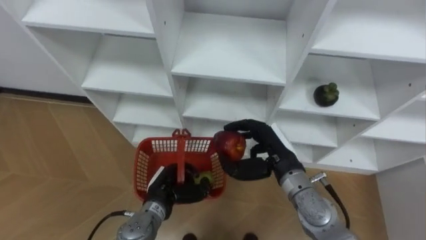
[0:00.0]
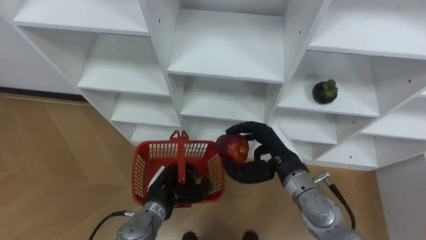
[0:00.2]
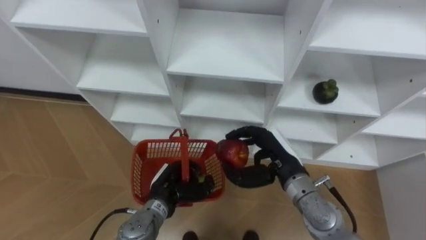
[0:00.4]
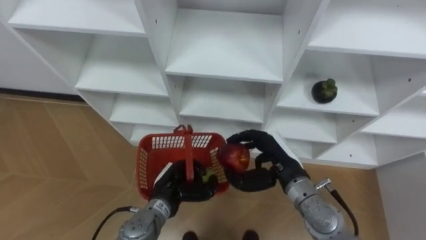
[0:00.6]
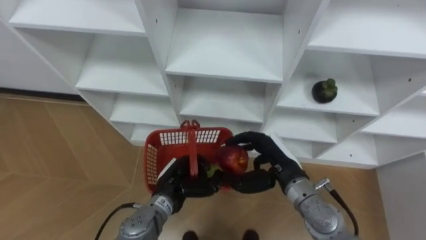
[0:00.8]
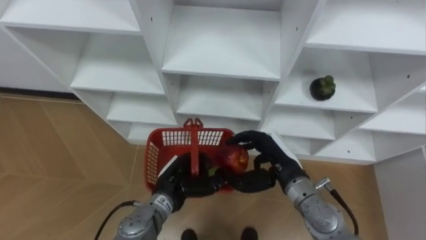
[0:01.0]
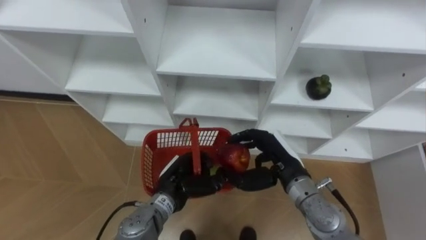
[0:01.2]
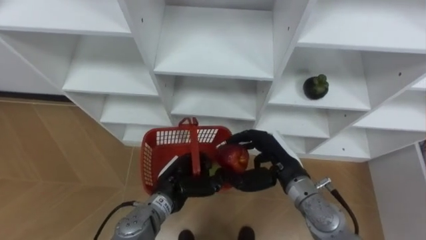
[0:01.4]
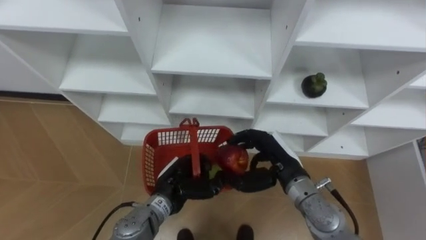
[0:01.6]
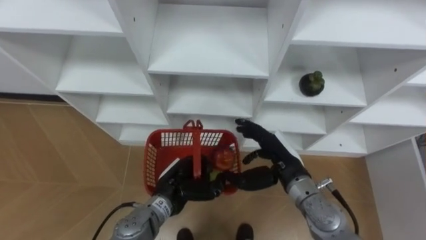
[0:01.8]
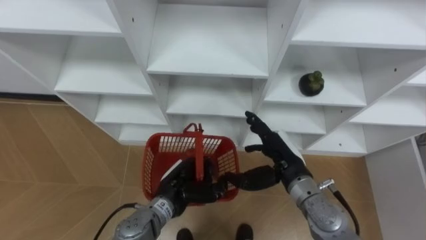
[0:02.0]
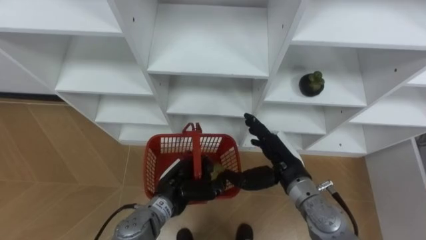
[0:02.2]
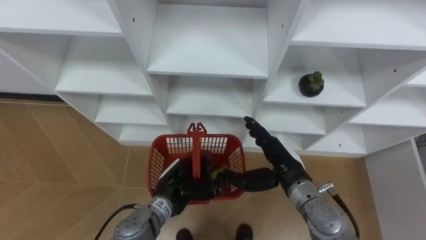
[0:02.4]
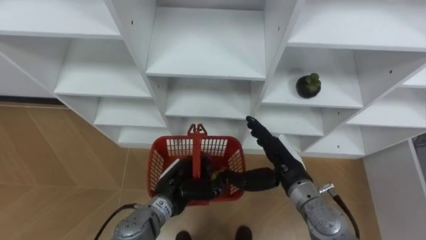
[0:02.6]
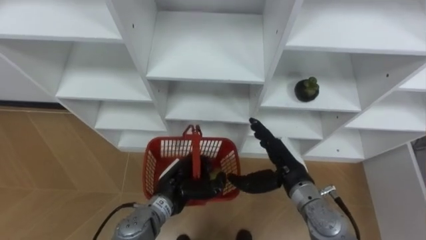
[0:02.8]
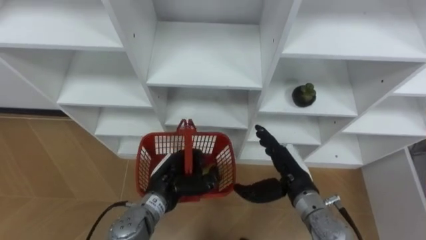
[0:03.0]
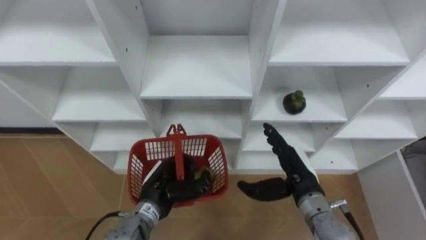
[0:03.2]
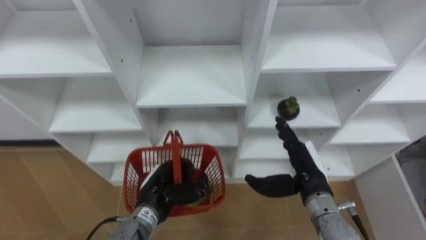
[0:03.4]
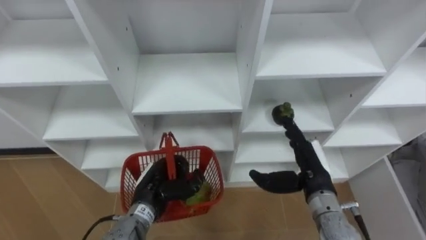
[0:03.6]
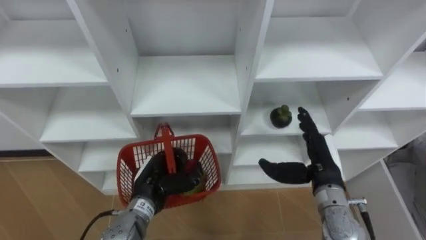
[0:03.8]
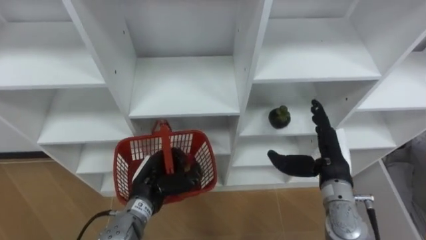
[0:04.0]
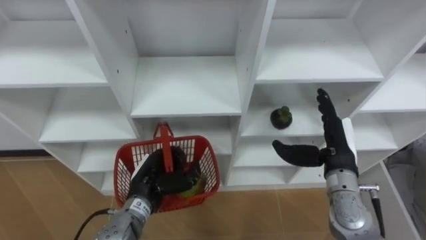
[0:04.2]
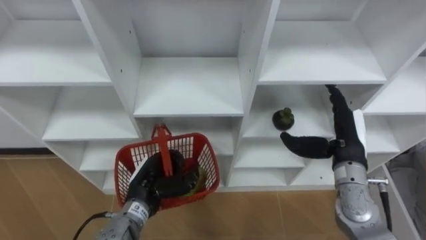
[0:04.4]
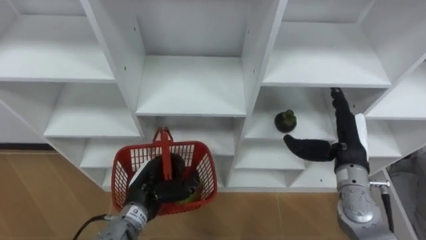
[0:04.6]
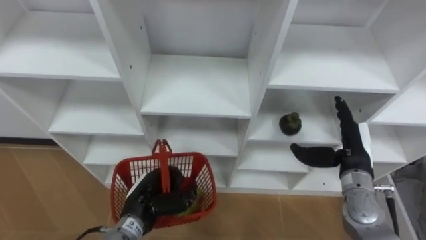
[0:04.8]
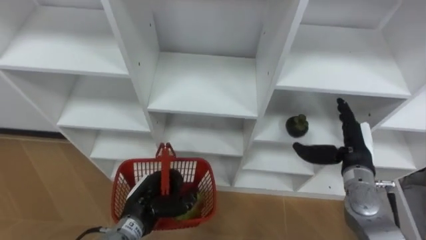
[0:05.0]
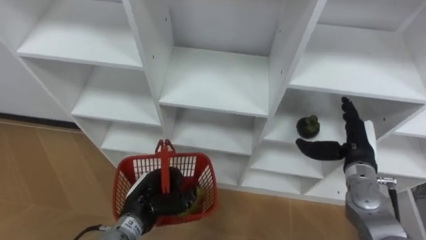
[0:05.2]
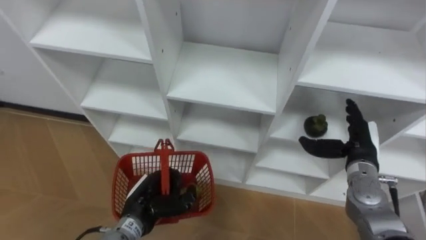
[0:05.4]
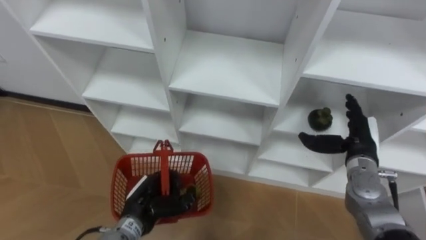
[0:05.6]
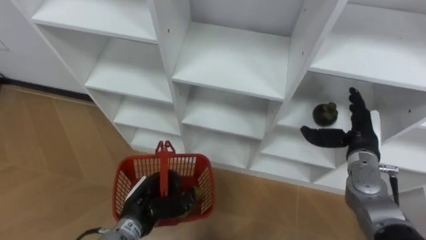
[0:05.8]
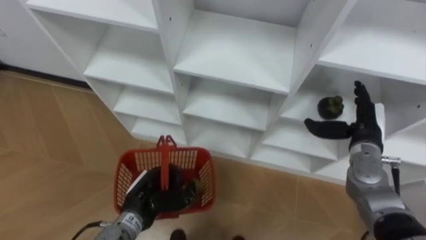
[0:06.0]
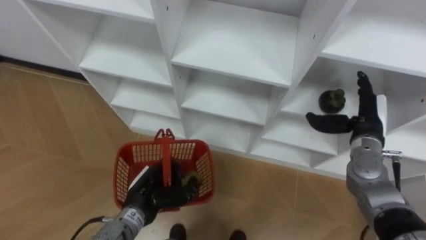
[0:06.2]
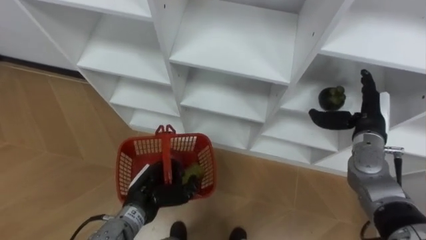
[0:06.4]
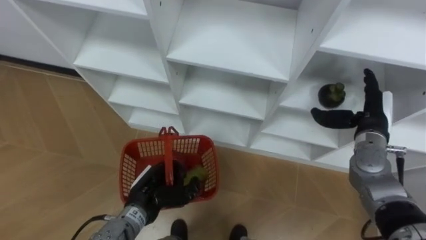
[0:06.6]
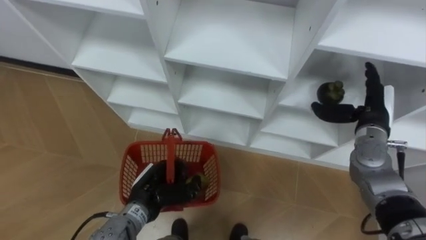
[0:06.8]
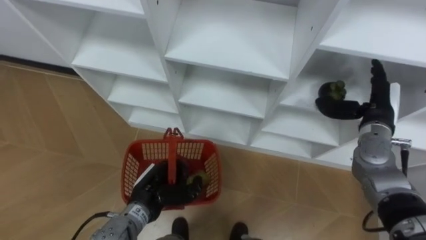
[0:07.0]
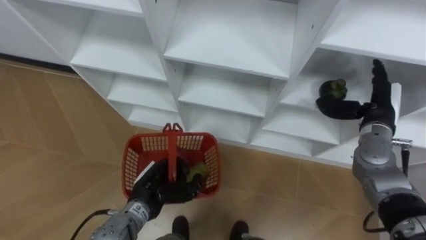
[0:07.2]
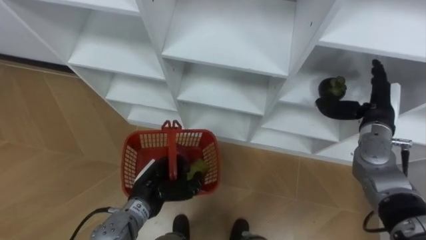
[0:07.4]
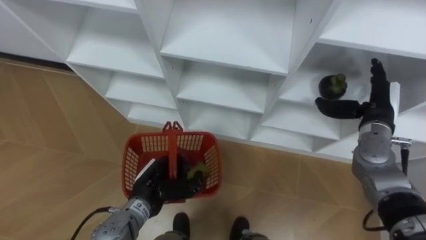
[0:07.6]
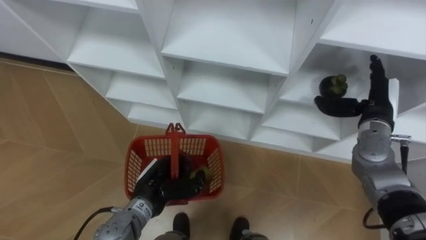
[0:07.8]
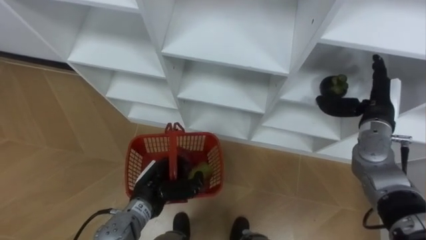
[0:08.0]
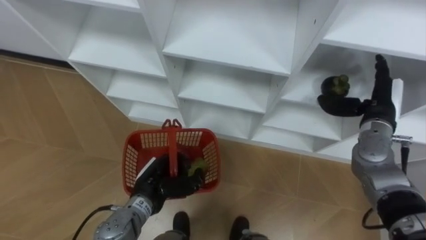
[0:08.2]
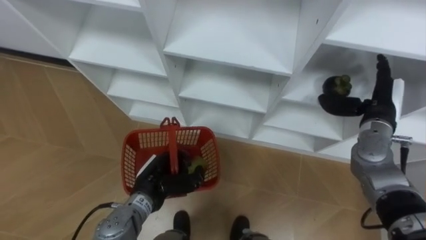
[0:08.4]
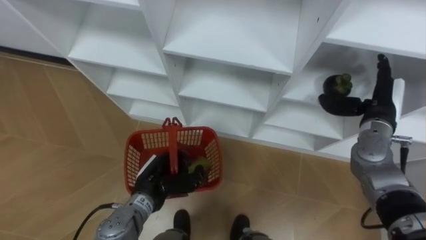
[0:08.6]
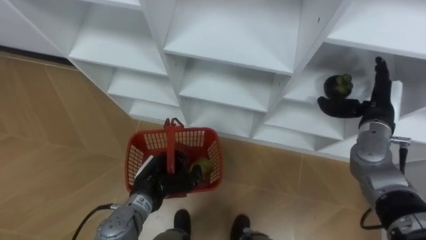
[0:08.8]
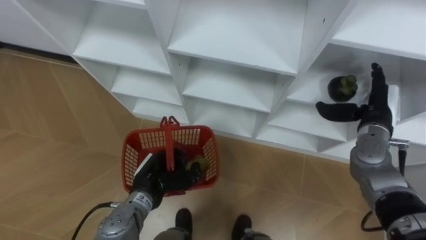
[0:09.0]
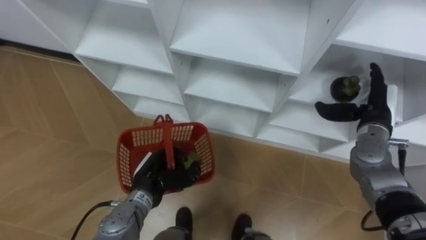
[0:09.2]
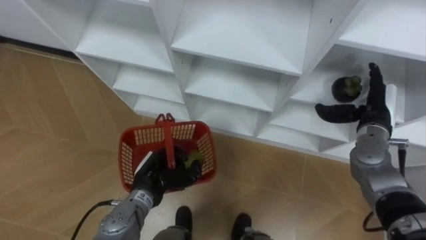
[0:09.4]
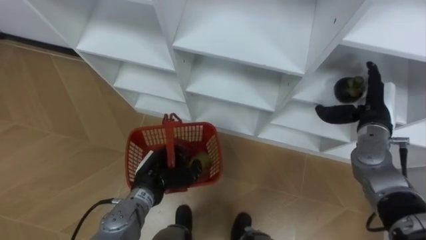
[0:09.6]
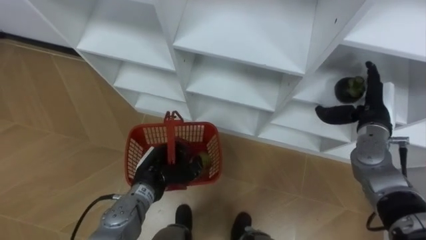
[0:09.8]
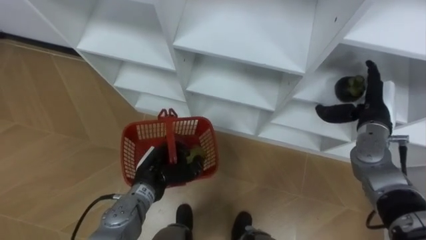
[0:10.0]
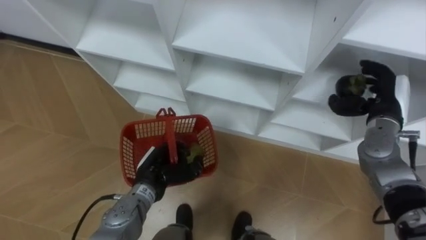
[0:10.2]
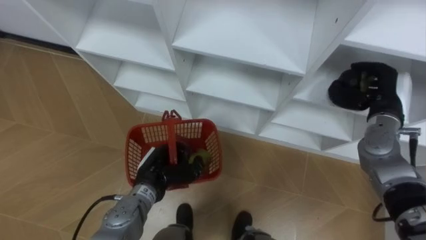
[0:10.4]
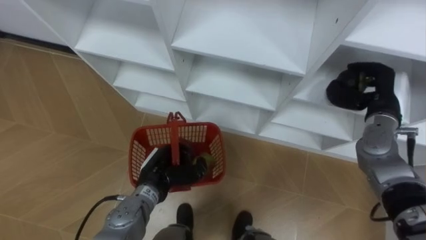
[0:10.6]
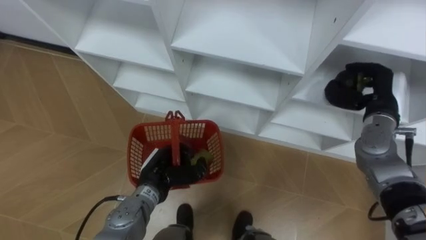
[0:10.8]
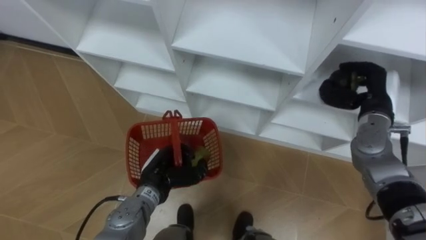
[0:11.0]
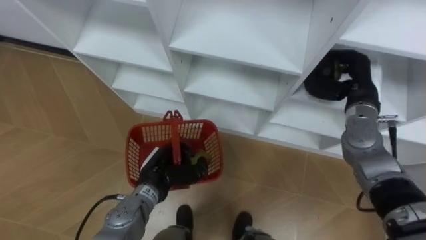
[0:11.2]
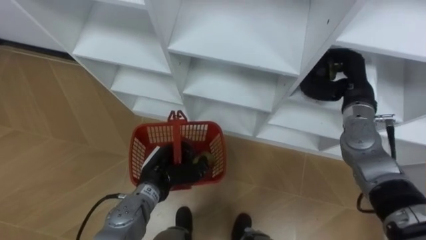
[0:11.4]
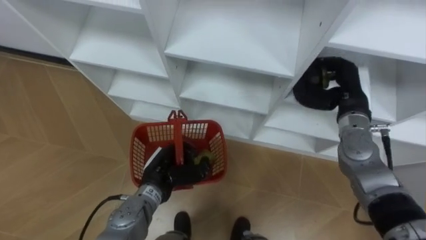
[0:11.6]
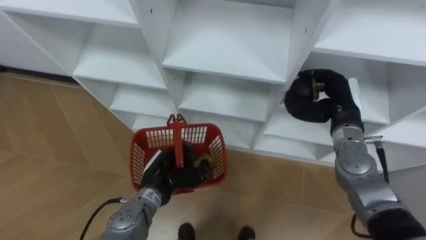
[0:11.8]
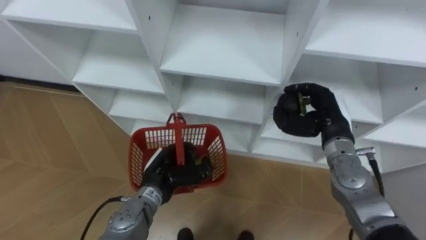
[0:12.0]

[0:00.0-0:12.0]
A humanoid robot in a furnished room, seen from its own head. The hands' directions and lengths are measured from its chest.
Task of the whole recording: Hold the basket and collect the fruits from 3 different cells of the closet into it.
0:01.6 to 0:03.0: The right hand opens its fingers.
0:03.0 to 0:04.4: The right hand shifts roughly 10 cm to the right and upward.
0:04.4 to 0:06.0: The right hand is displaced to the right by roughly 5 cm.
0:07.6 to 0:09.0: The two hands keep their place.
0:09.0 to 0:10.4: The right hand closes.
0:10.4 to 0:12.0: The right hand is displaced to the left by about 10 cm.

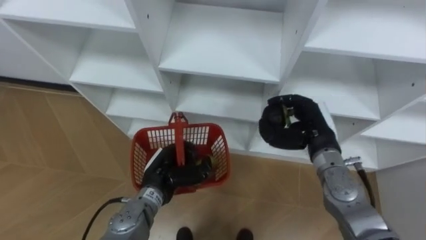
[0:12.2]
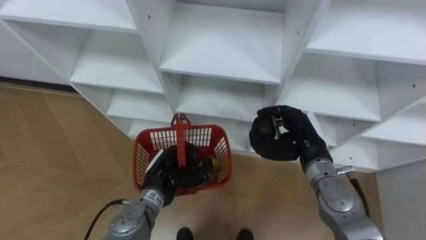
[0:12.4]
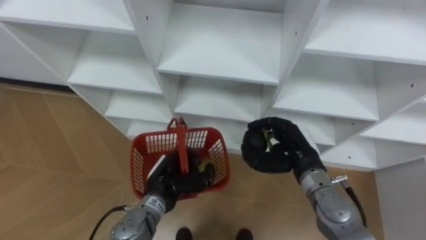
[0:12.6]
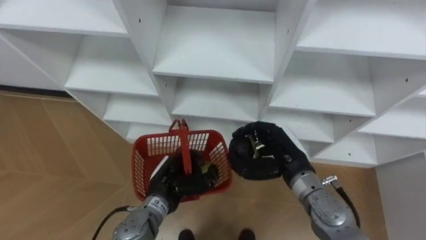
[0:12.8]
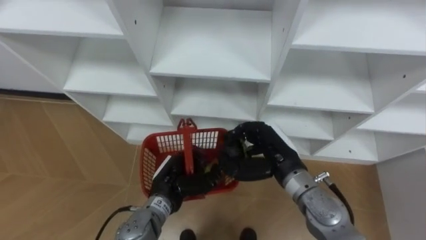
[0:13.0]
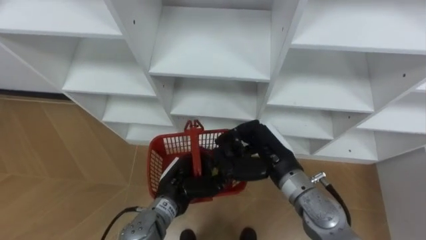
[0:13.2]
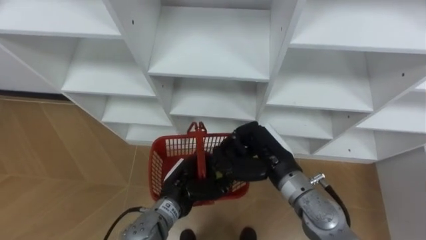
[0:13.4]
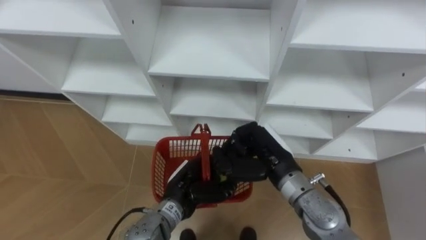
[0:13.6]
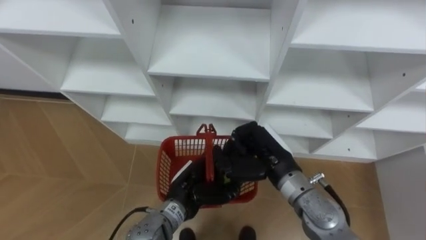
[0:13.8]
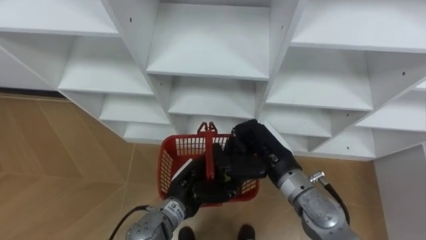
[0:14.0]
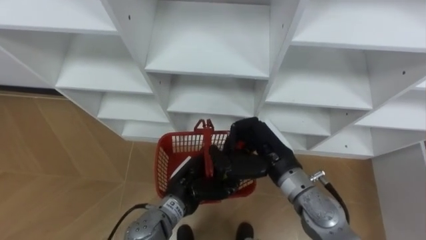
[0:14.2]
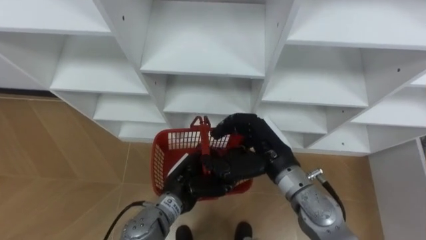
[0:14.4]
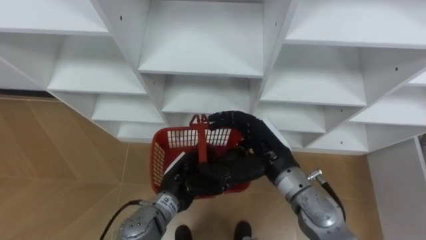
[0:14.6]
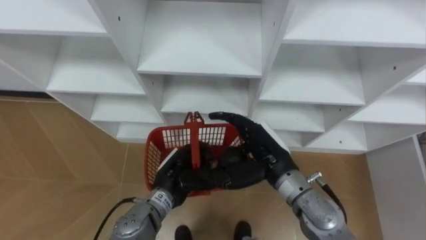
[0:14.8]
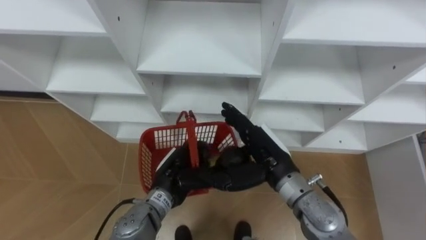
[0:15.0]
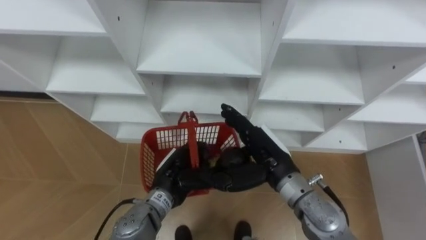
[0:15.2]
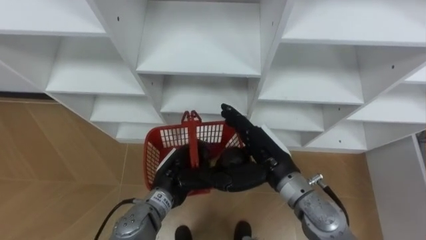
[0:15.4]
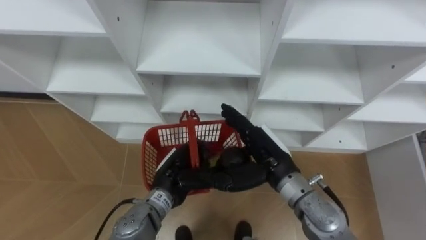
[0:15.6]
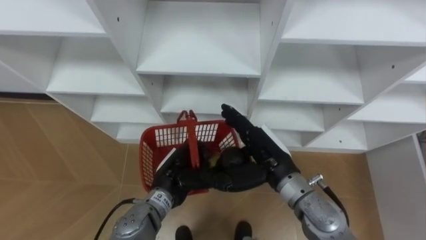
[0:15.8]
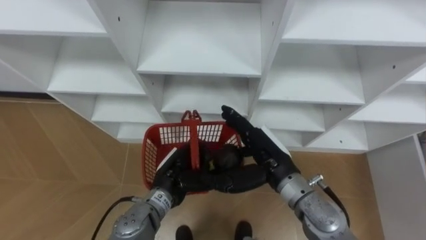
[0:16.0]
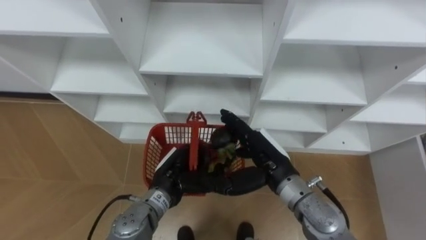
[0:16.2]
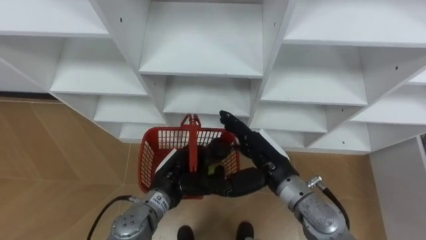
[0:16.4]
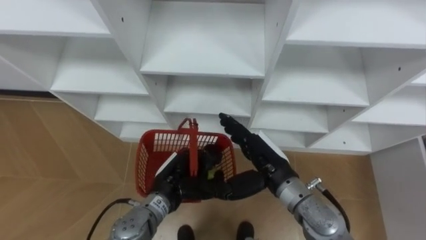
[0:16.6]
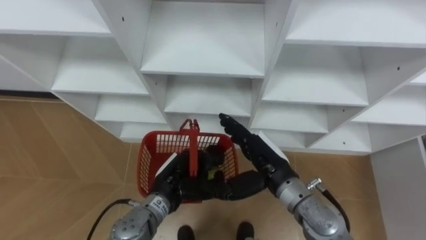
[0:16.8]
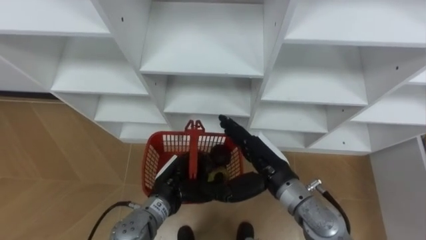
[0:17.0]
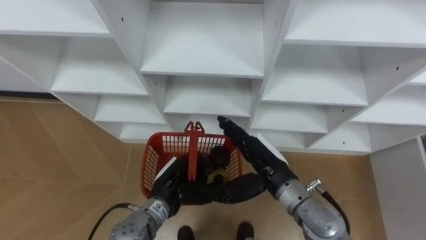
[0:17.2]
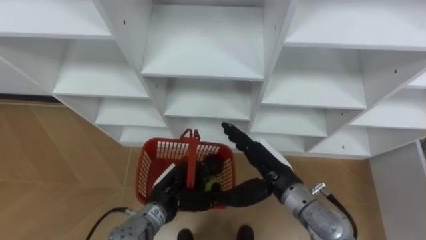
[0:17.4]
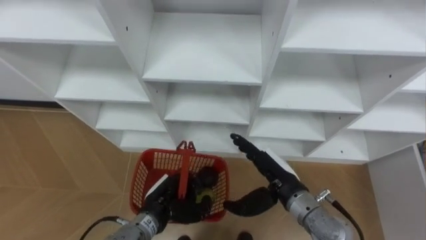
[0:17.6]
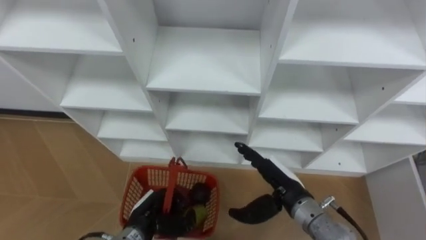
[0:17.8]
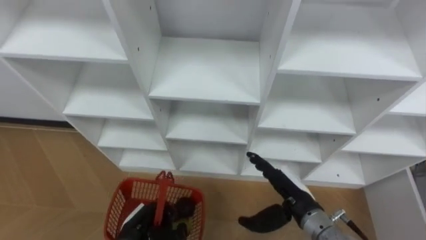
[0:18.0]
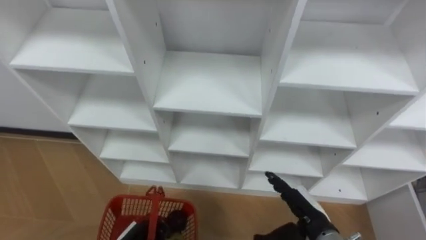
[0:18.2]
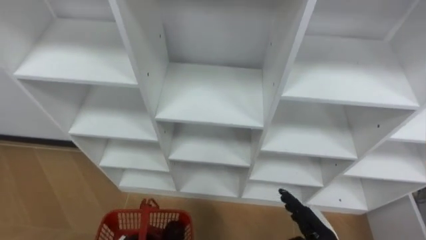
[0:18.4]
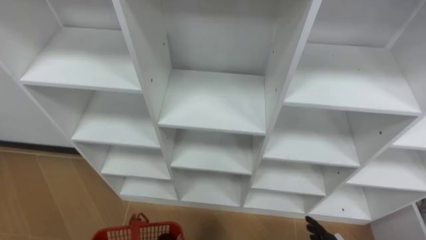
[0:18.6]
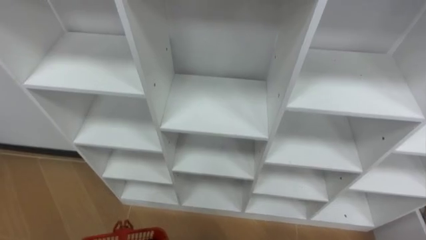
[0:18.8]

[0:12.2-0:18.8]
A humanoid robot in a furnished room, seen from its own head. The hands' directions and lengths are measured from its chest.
Task of the whole recording: Hold the basket and collect the fruits from 3 different cells of the closet into it.
0:12.2 to 0:13.8: The right hand heads to the left and backward, covering approximately 10 cm. The left hand heads to the right, covering approximately 5 cm.
0:13.8 to 0:15.4: The right hand opens its fingers.
